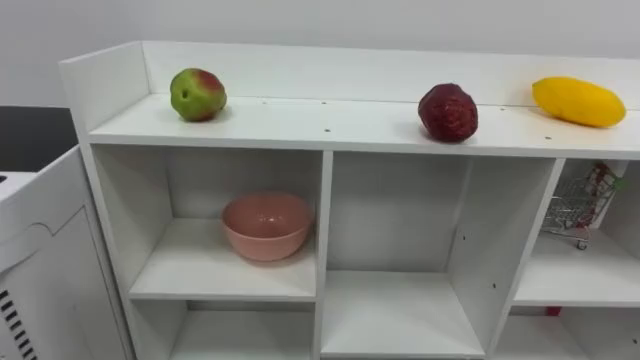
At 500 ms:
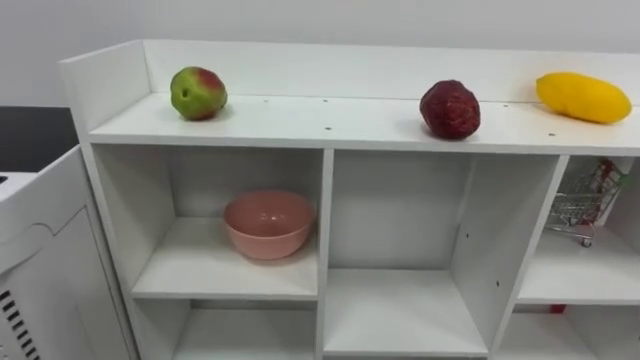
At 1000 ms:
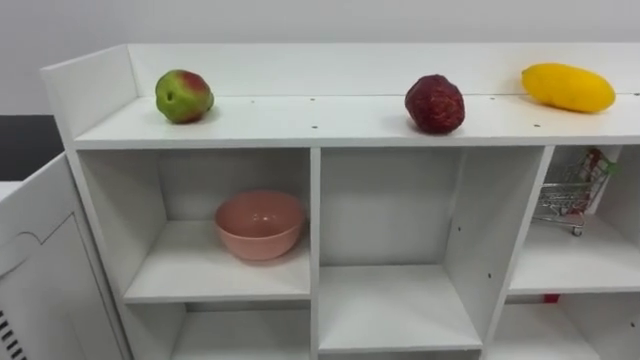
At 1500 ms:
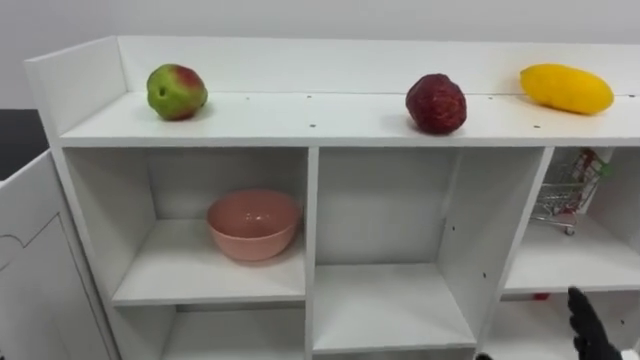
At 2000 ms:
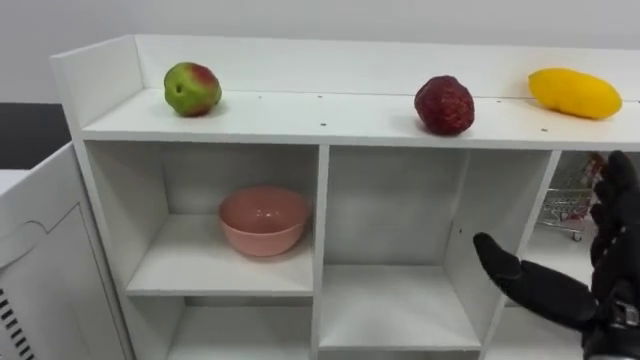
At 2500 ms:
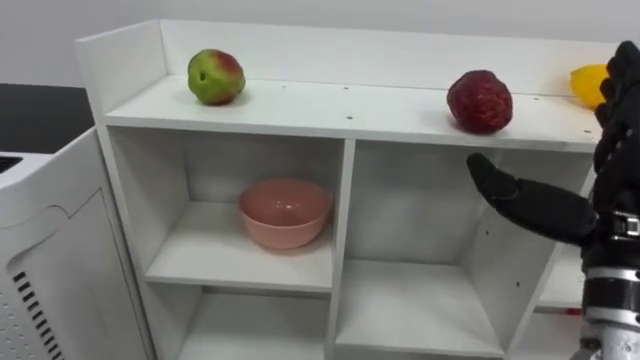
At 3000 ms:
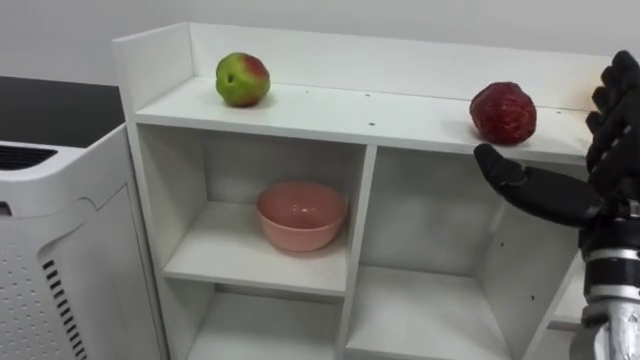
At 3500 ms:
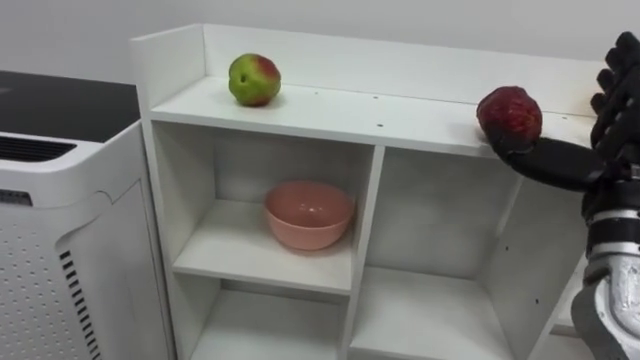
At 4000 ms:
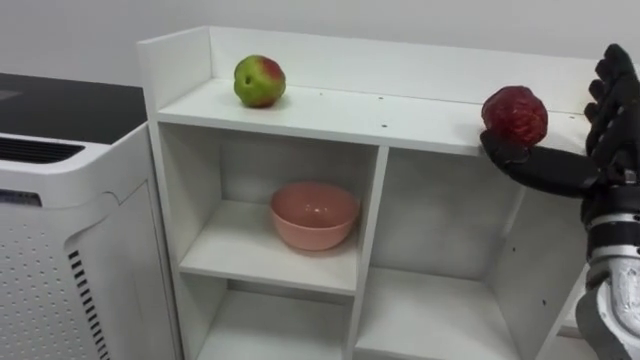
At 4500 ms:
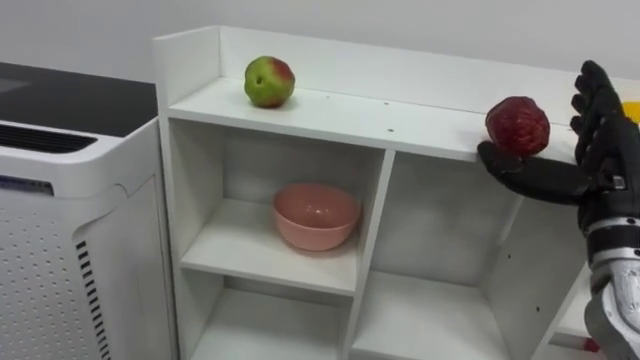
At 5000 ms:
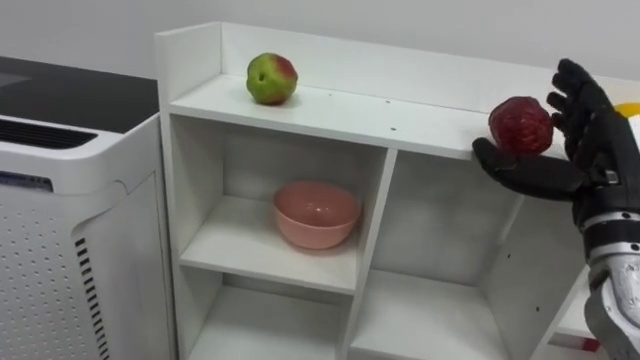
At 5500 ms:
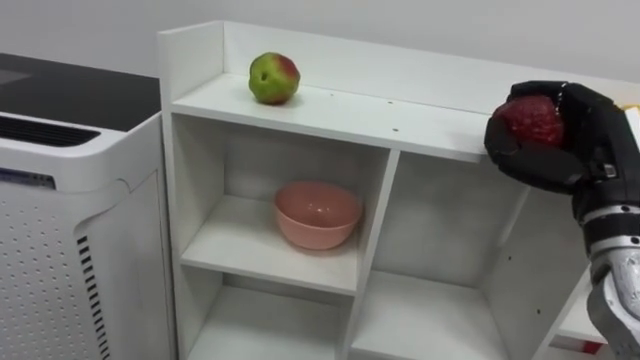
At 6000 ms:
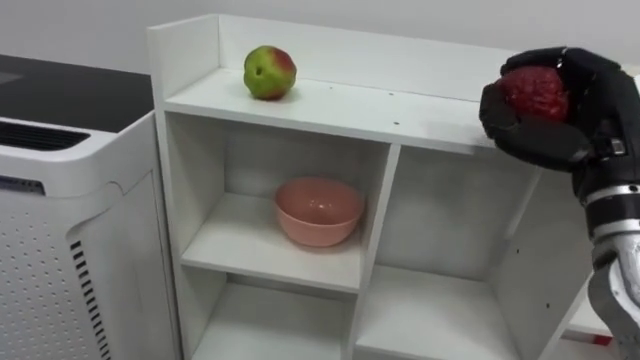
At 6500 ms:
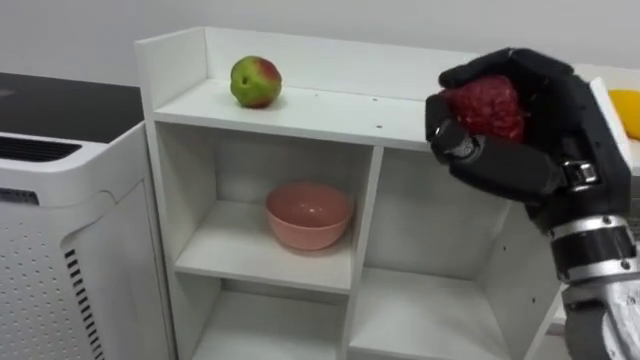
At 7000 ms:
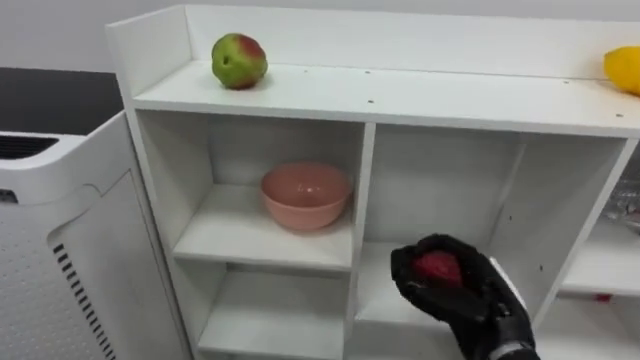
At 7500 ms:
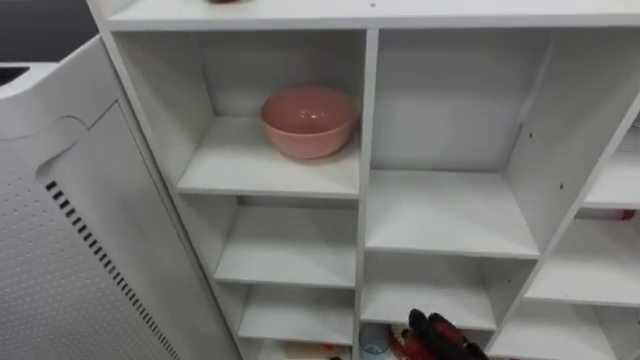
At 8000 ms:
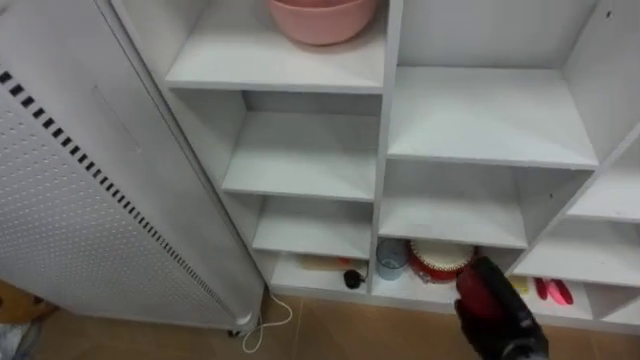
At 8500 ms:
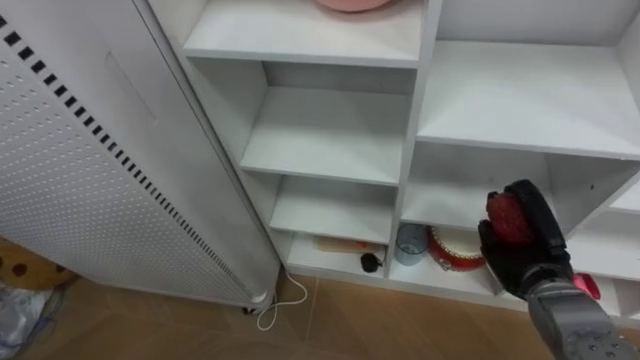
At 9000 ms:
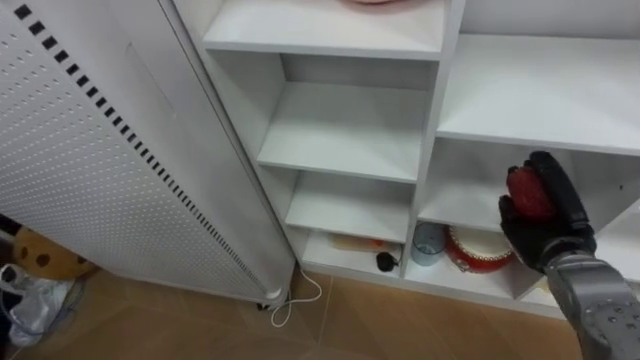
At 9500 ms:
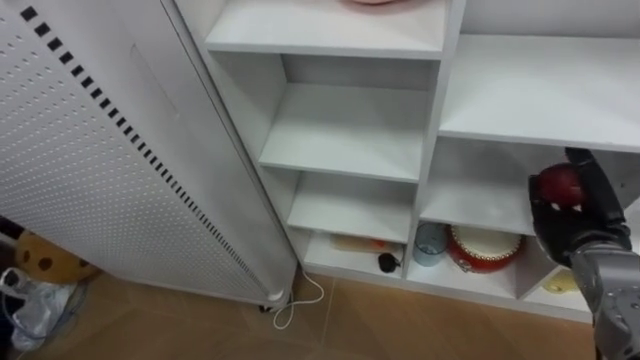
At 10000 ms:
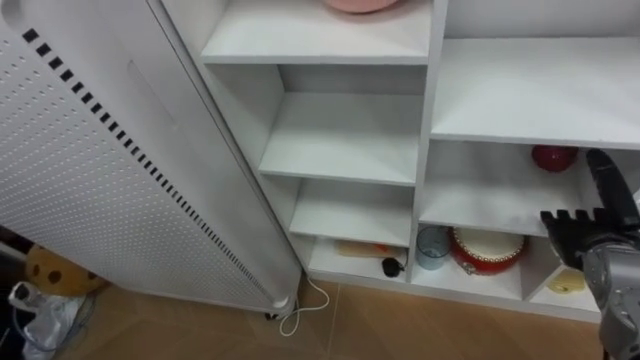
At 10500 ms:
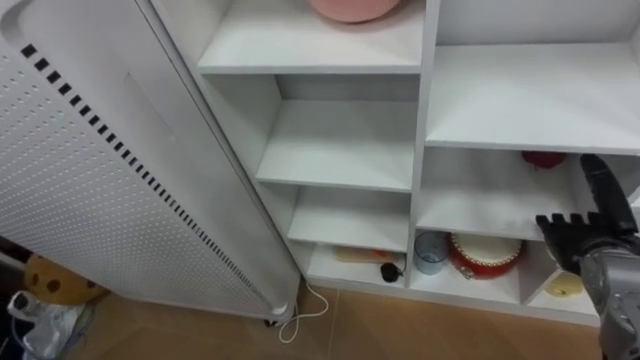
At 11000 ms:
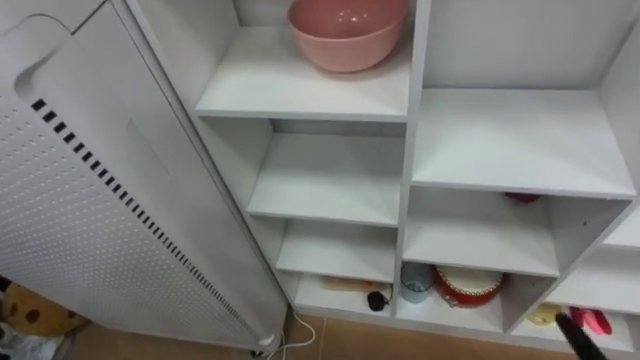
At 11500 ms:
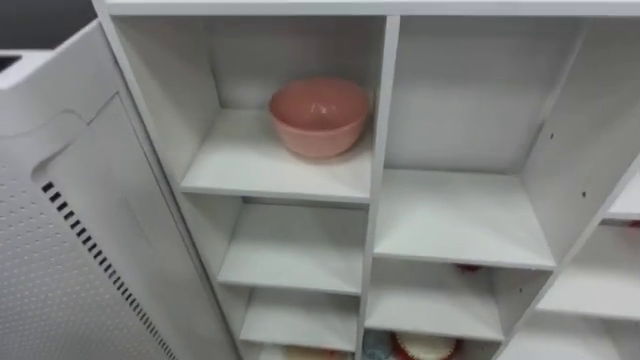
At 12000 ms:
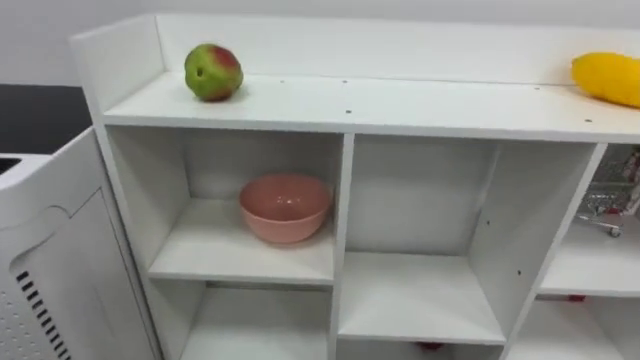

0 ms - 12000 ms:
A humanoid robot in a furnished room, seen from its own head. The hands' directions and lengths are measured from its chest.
Task of the whole recording: Put the apple in the cell in the second column from the left and the second row from the top.
2000 ms - 4000 ms: The right hand moves forward and upward, roughly 10 cm.
4000 ms - 6000 ms: The right hand closes up.
8000 ms - 10000 ms: The right hand shifts roughly 15 cm upward and to the right, and opens its fingers.

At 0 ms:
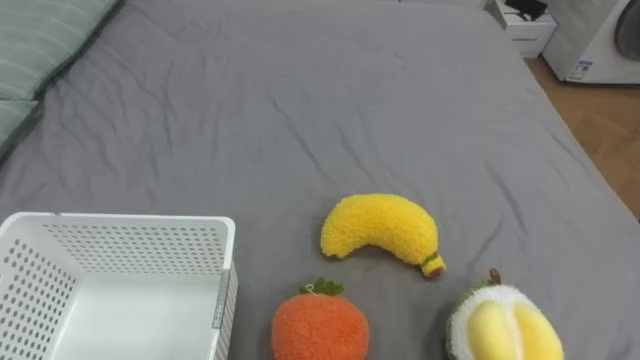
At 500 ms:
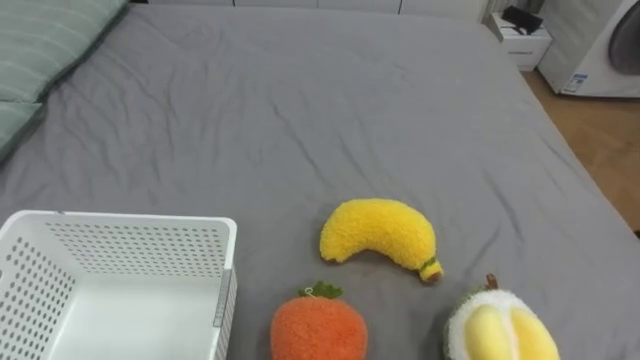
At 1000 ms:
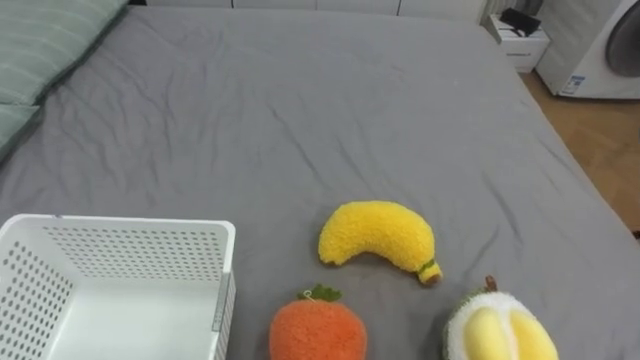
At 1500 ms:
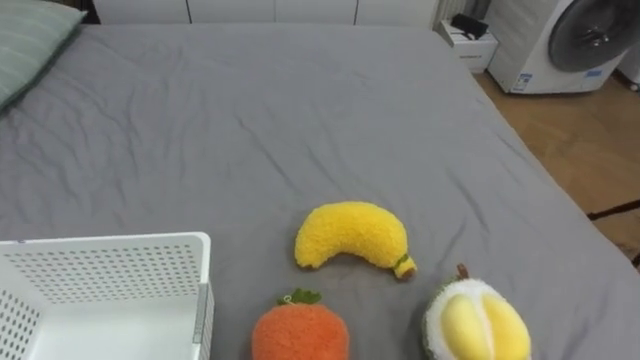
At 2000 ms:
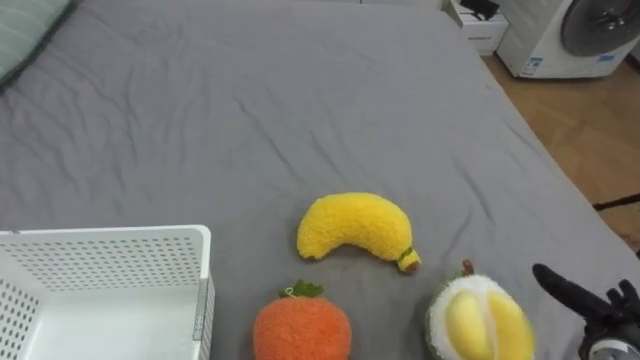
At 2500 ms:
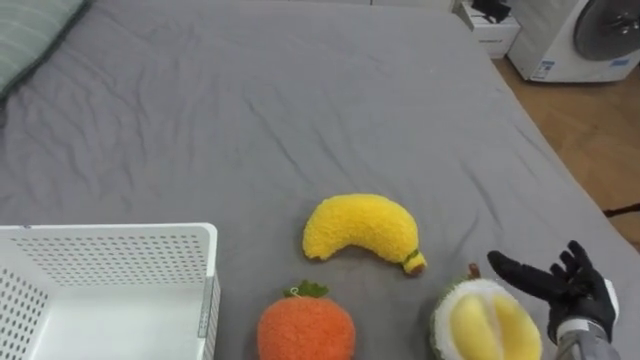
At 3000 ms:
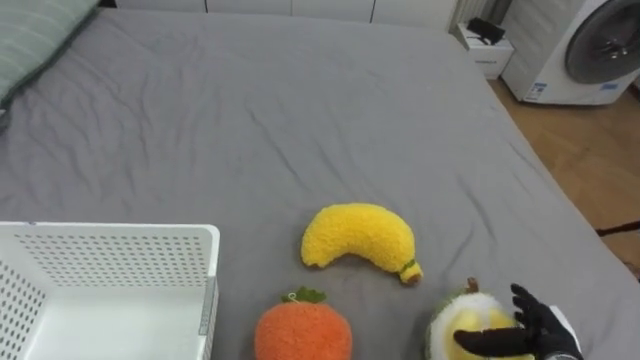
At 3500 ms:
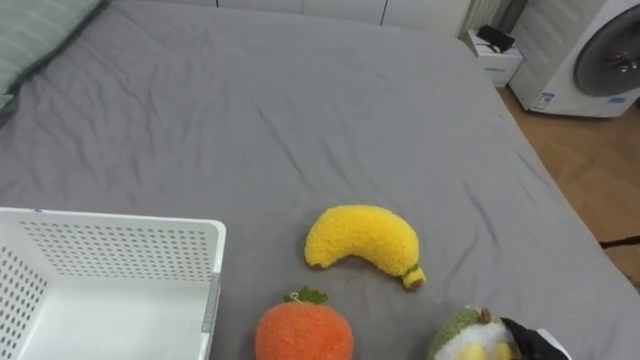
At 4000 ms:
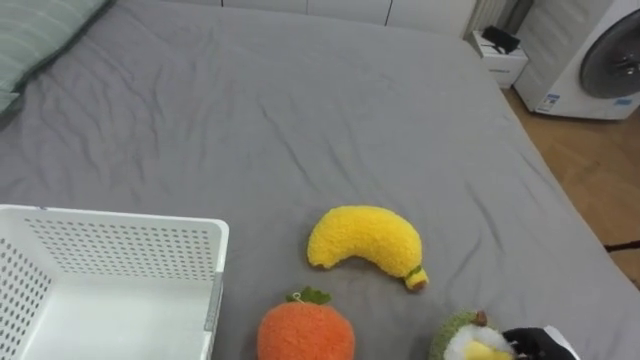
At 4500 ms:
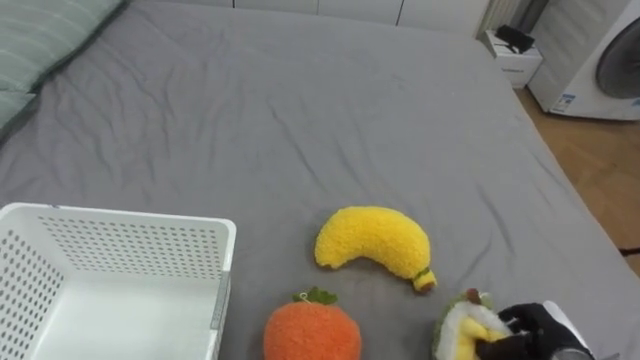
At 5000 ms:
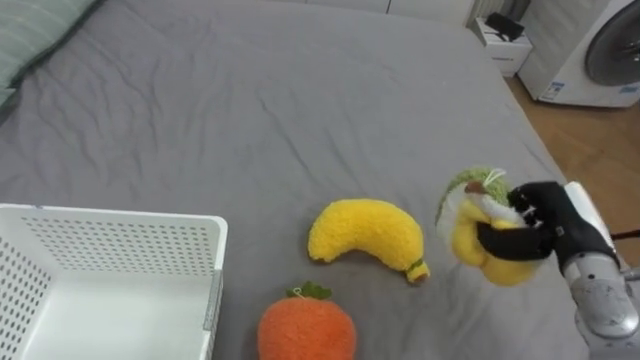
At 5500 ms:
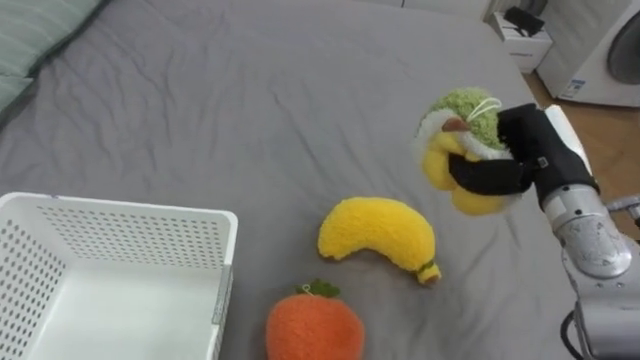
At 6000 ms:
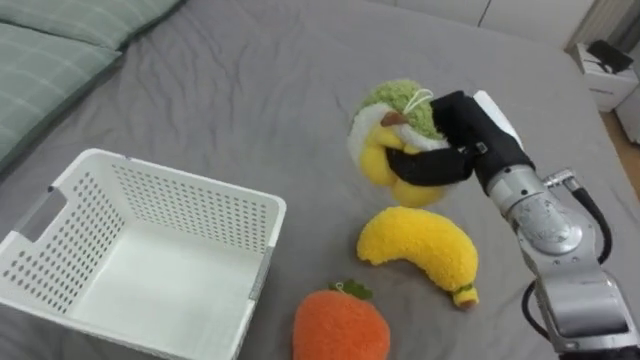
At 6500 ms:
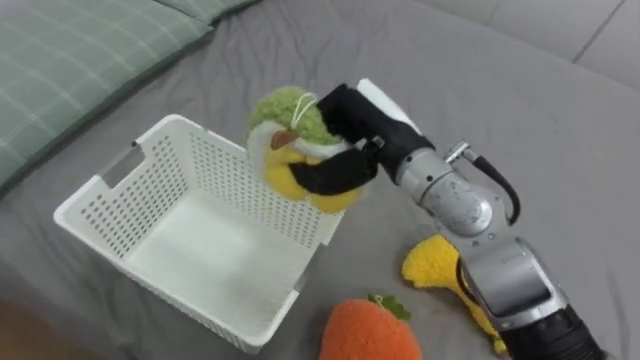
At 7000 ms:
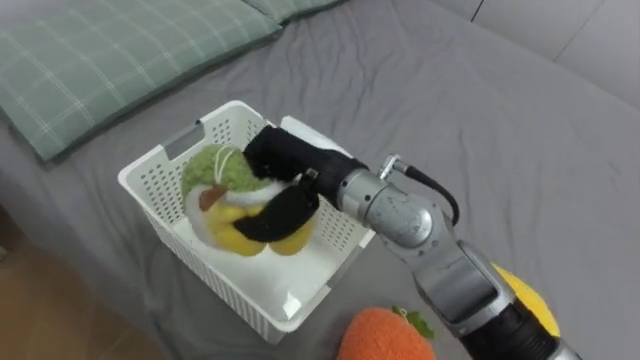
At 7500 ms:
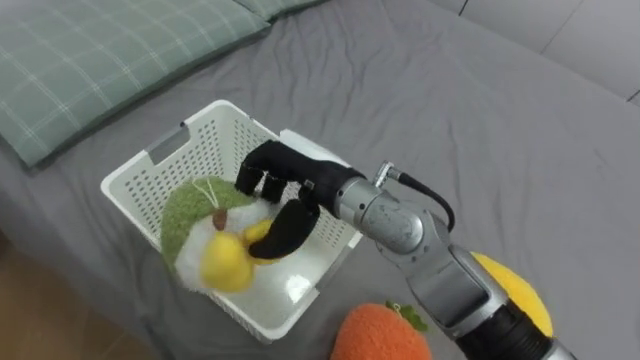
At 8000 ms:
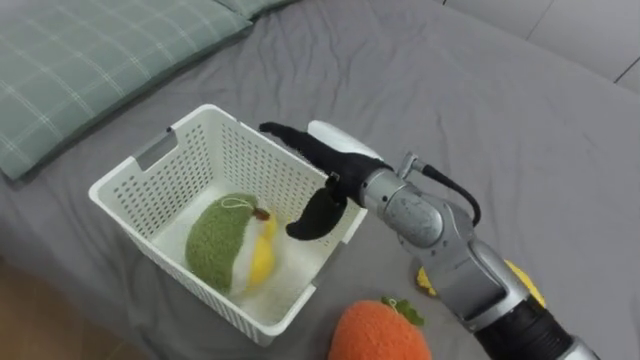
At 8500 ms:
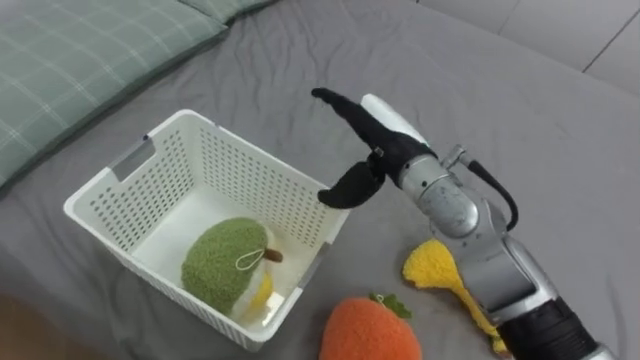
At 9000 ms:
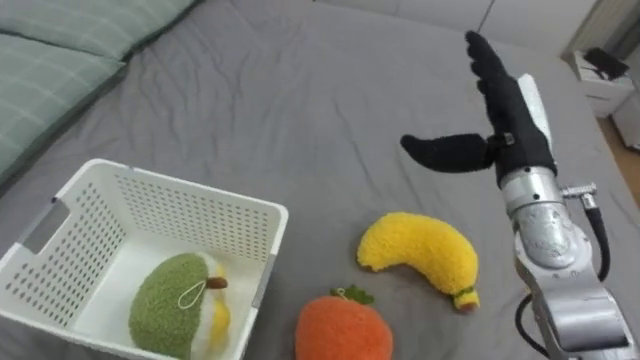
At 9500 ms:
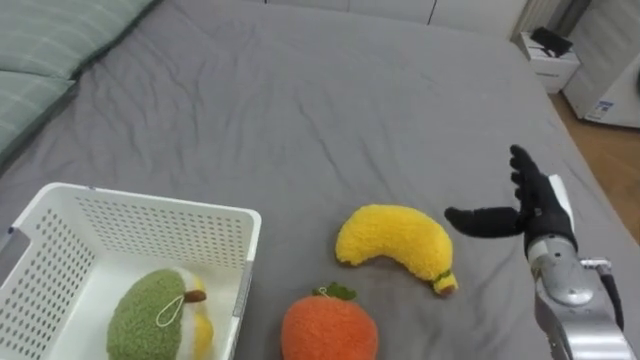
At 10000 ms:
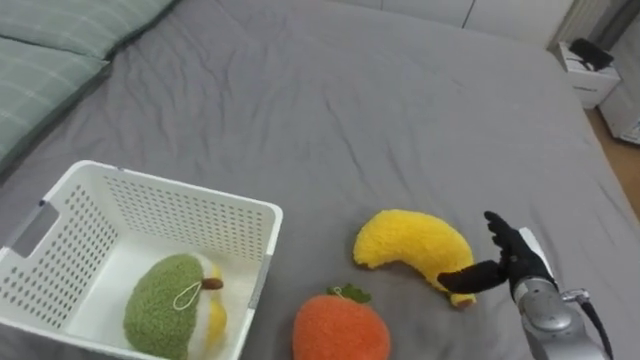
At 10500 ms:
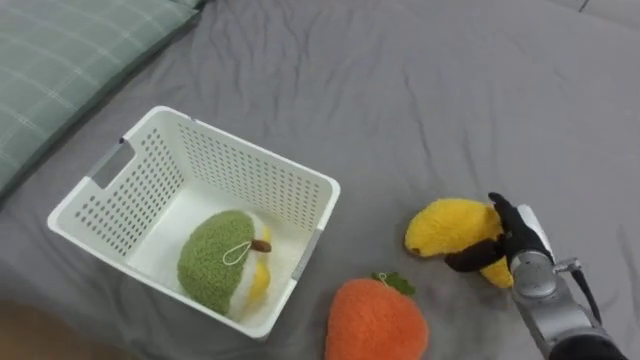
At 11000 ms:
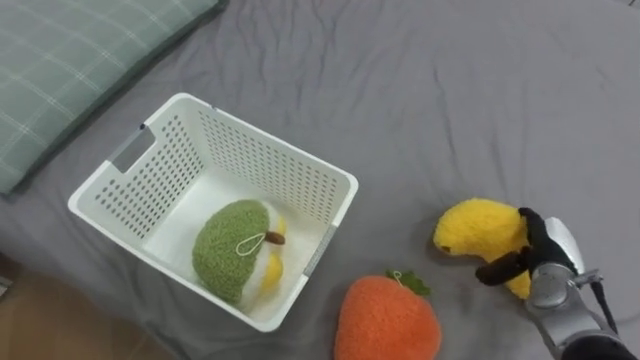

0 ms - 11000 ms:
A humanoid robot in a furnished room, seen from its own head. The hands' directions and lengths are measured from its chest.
Task of the whole recording: Put the toys on the bed into the basket on the left.
5500 ms - 7500 ms: The right hand is displaced to the left by approximately 25 cm, and opens its fingers.
7500 ms - 9000 ms: The right hand moves to the right, about 20 cm, and opens.
9000 ms - 11000 ms: The right hand goes roughly 25 cm downward and to the right.
